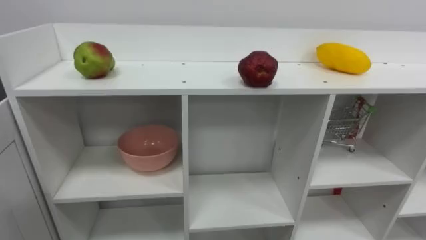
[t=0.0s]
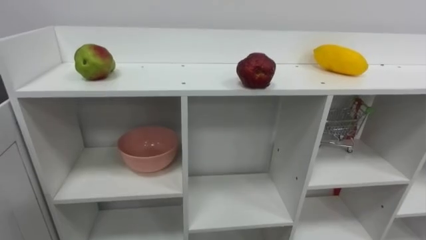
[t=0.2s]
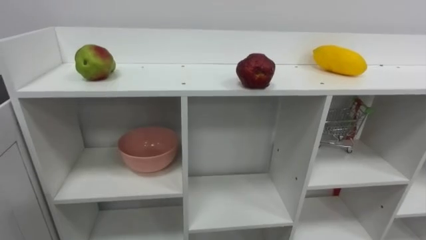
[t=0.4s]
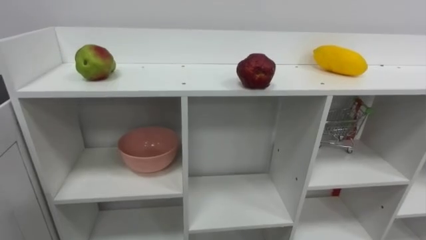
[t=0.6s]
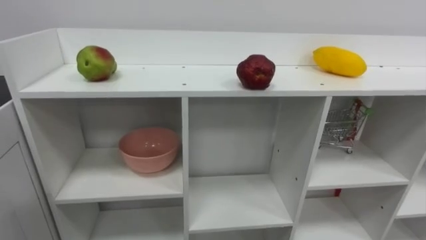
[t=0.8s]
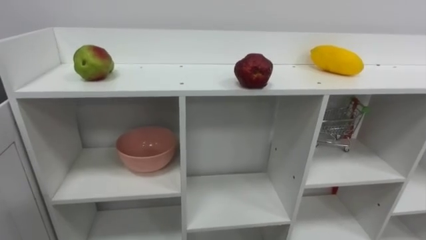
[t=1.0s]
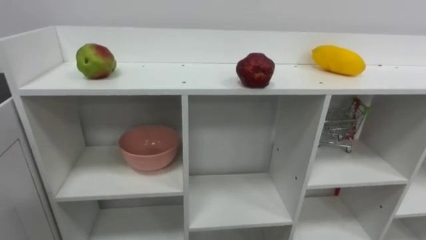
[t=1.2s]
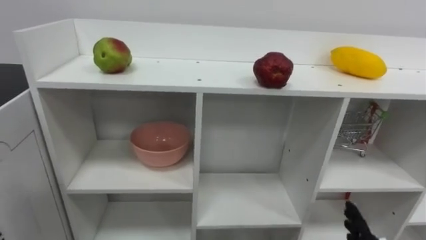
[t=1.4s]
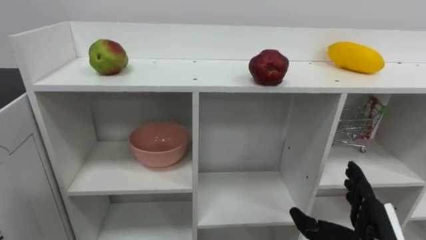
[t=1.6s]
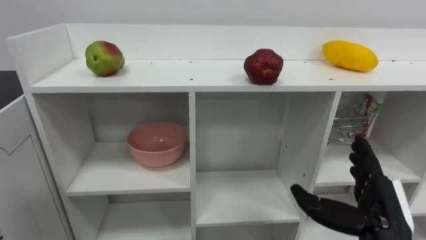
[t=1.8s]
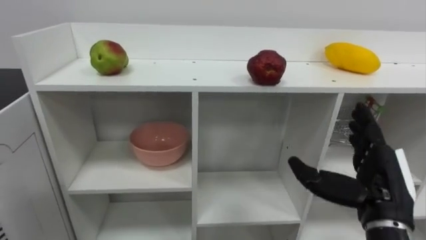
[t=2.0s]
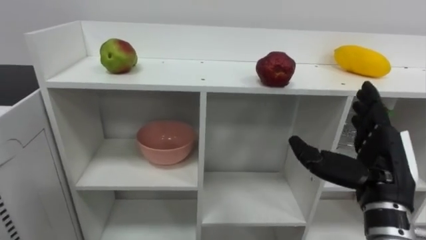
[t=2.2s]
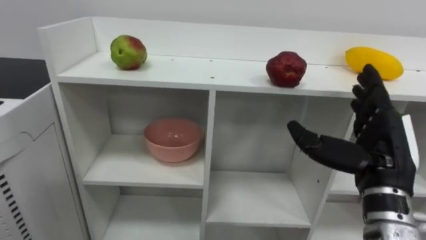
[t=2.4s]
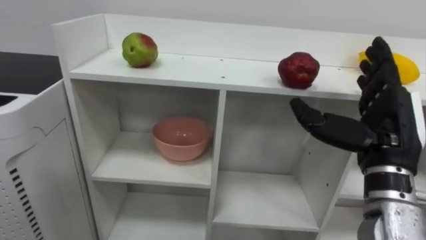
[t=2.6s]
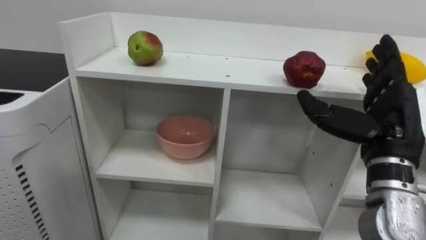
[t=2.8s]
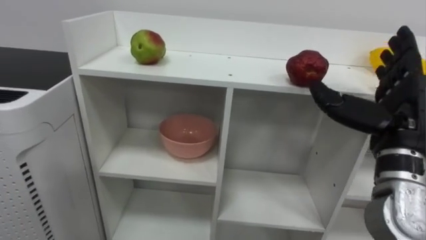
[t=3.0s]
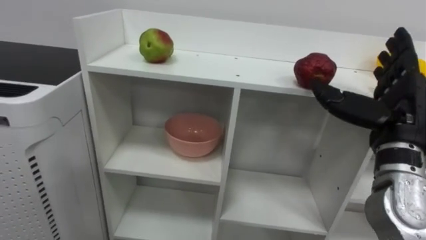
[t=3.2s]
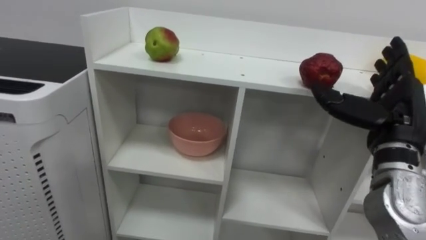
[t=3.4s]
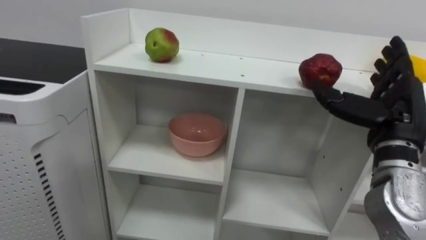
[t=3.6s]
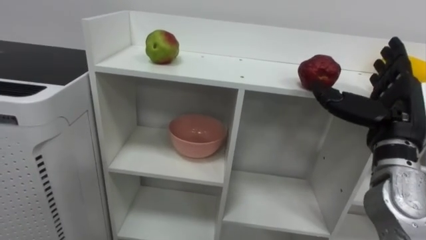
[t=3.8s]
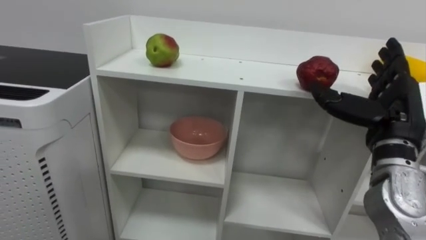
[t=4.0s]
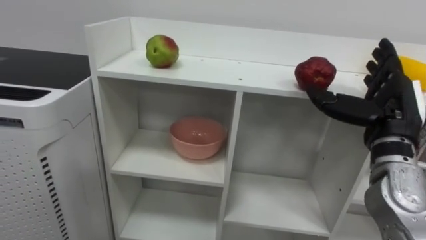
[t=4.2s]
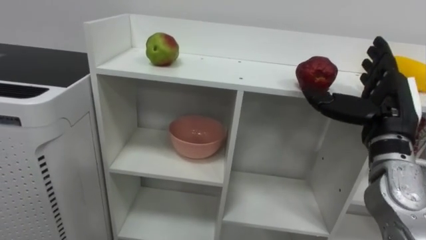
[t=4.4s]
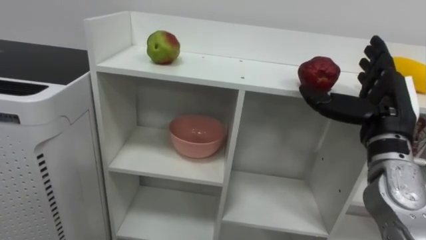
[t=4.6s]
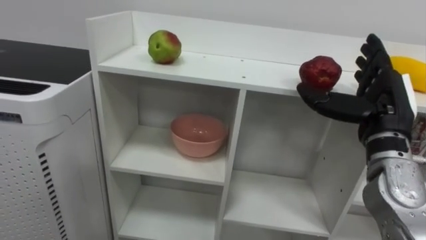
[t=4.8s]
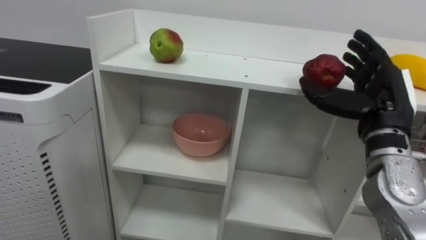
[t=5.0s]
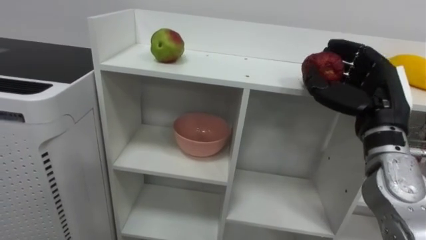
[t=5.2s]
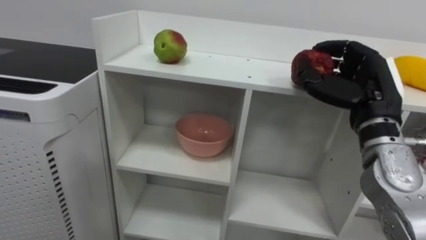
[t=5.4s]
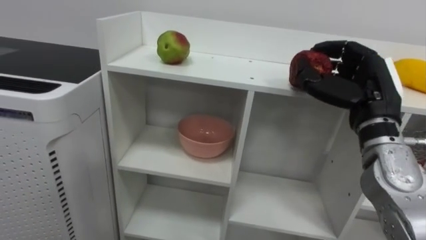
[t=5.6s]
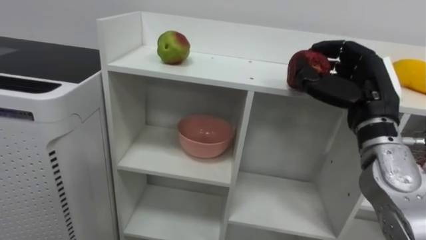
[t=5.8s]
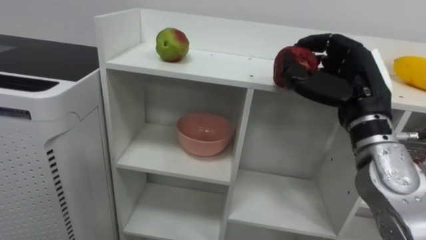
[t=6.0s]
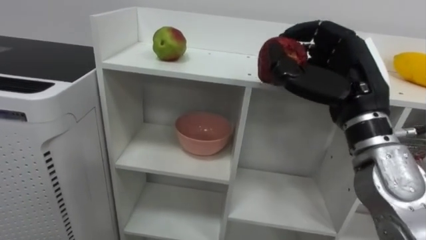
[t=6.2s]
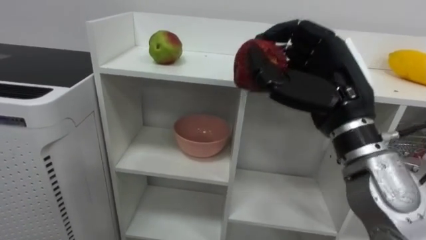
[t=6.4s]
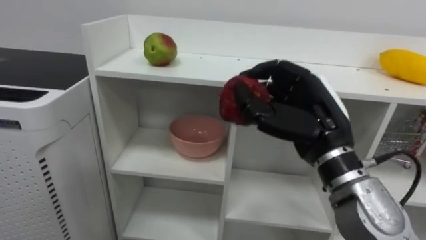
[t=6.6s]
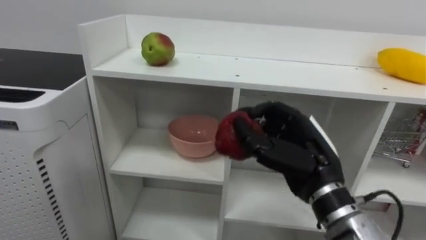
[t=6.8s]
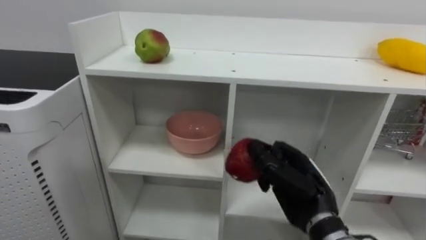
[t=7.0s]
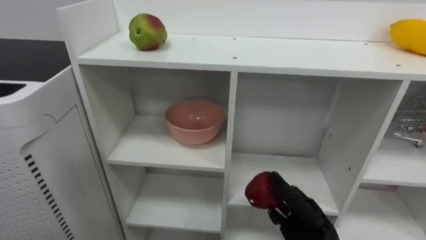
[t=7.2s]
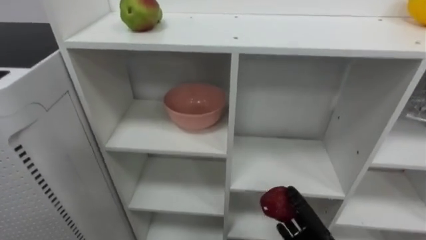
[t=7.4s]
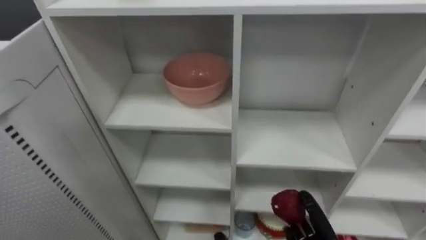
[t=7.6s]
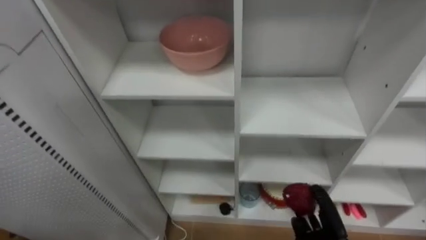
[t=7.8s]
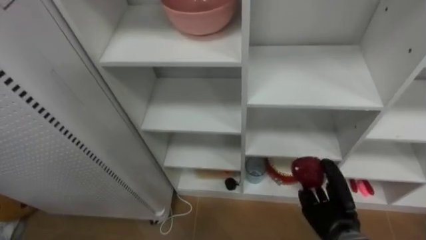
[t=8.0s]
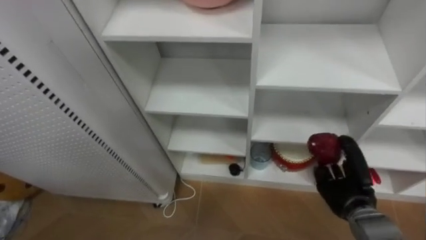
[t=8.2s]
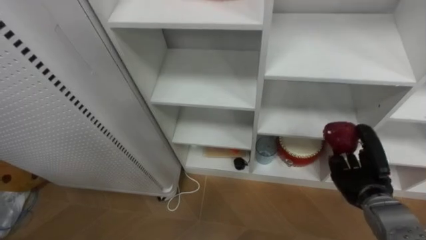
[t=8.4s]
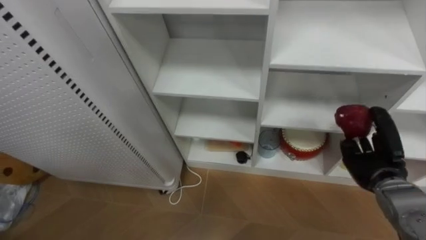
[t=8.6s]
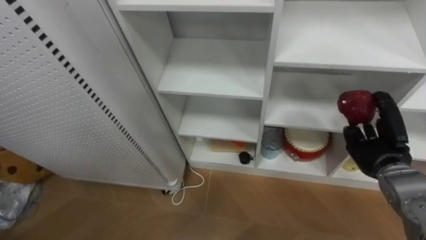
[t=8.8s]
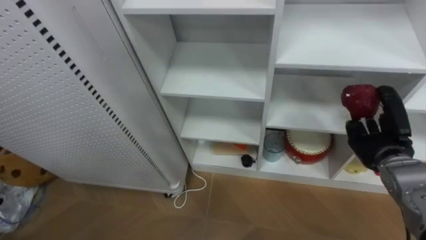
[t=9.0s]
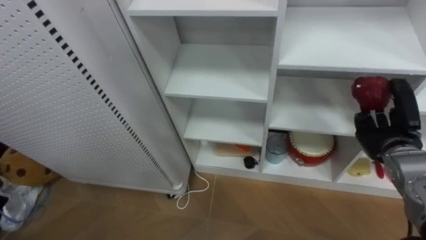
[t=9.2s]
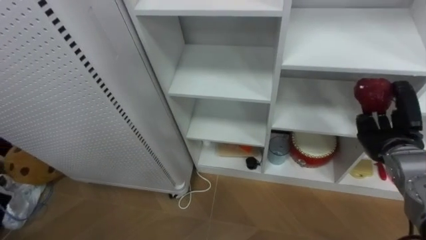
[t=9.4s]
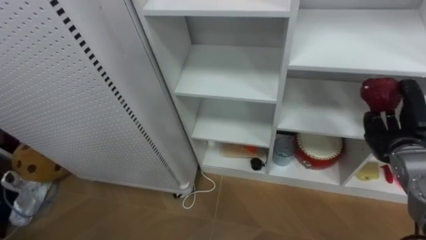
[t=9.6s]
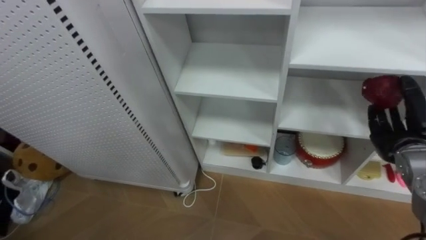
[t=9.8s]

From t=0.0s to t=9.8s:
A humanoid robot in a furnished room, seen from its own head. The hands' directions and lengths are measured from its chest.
Task of the whole recording: Put the apple in the cell in the second column from the left and the second row from the top.
From t=4.2s to t=5.6s: The right hand closes its fingers.
From t=5.6s to t=7.0s: The right hand moves downward and to the left, roughly 15 cm.
From t=8.4s to t=9.8s: The right hand travels upward and to the right by approximately 10 cm.

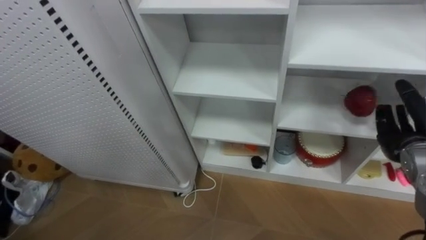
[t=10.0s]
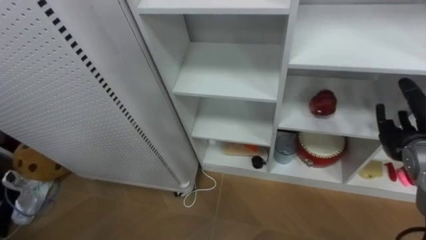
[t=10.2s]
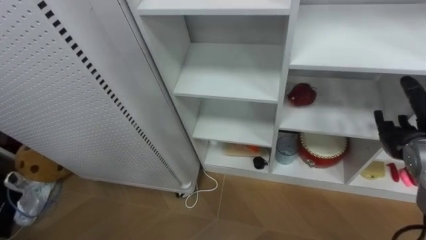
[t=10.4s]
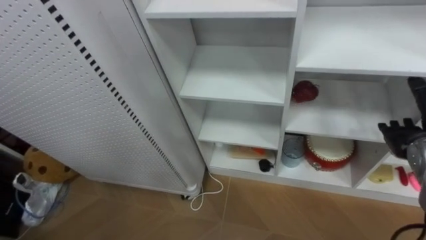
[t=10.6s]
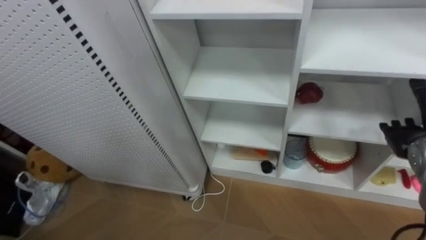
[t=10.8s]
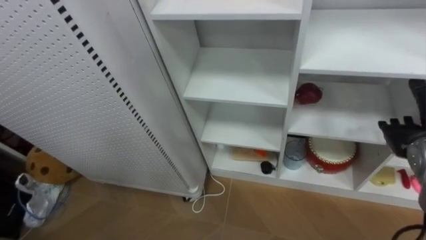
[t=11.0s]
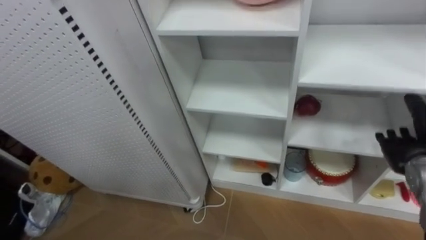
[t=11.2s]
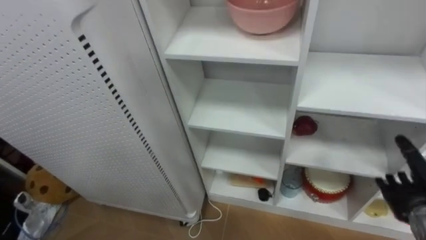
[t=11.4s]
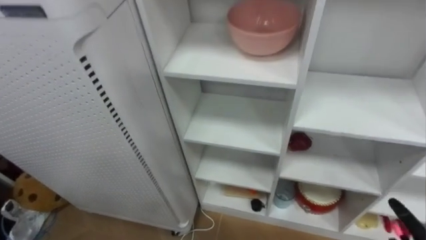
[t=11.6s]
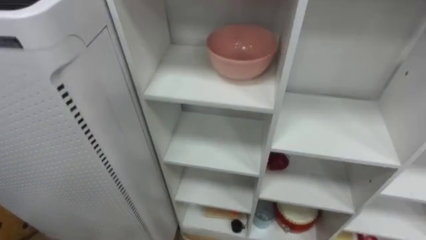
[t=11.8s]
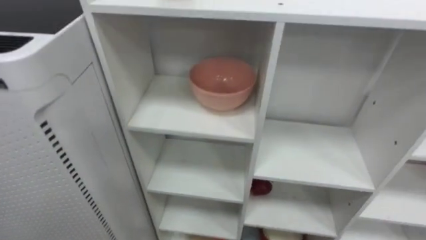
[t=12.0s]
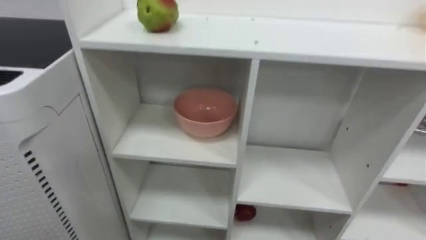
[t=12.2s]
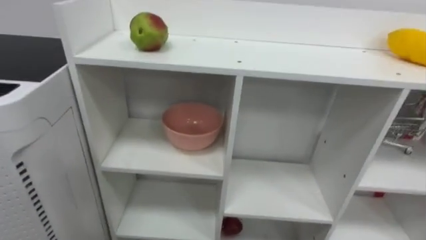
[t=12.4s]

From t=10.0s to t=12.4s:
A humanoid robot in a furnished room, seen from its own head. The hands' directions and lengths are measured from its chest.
Task of the whole recording: Put the apple in the cell in the second column from the left and the second row from the top.
From t=10.0s to t=11.2s: The right hand opens.

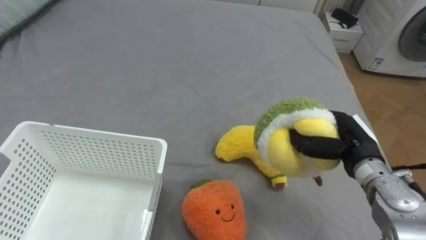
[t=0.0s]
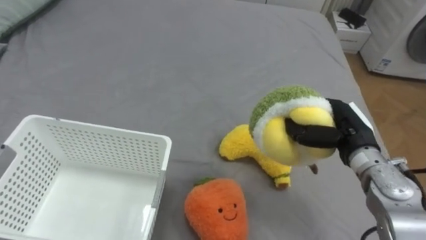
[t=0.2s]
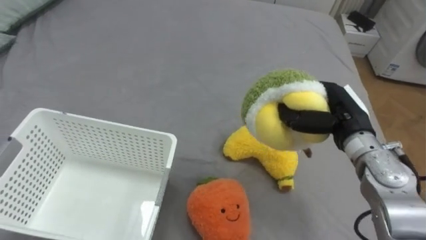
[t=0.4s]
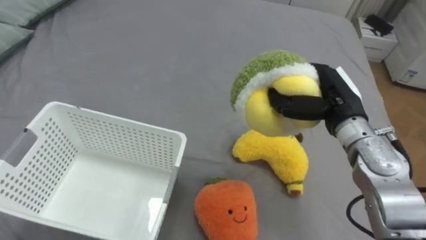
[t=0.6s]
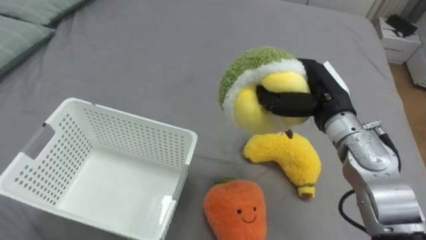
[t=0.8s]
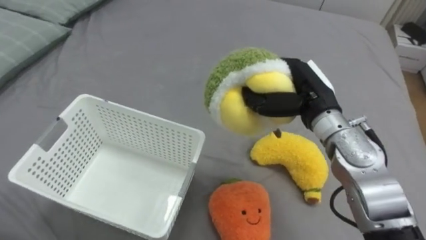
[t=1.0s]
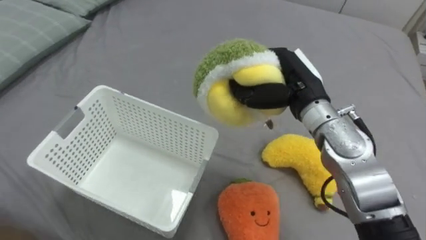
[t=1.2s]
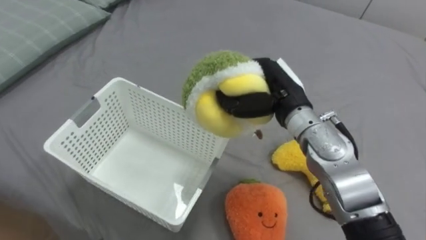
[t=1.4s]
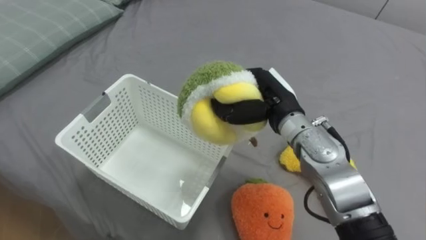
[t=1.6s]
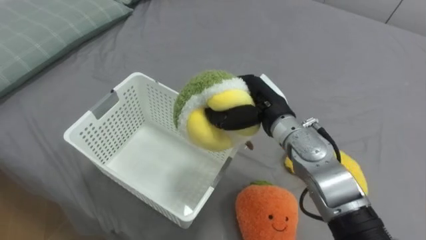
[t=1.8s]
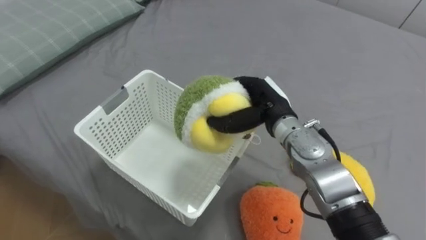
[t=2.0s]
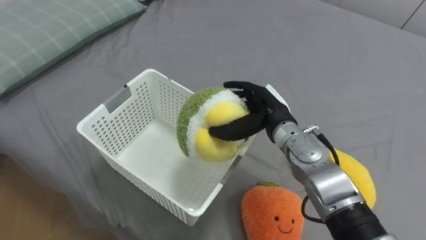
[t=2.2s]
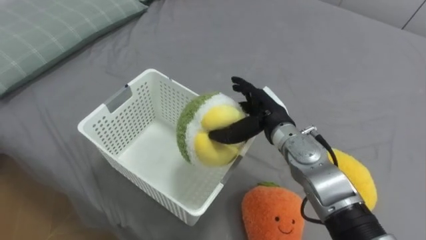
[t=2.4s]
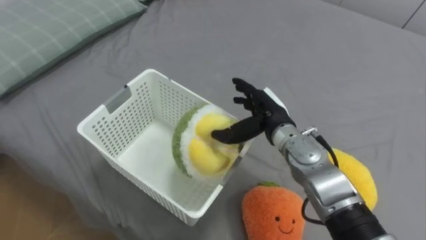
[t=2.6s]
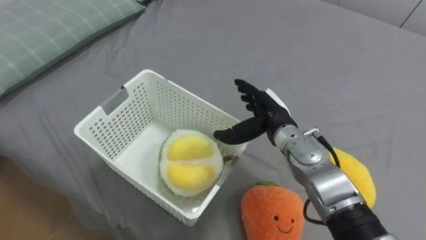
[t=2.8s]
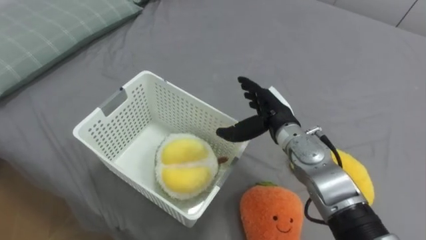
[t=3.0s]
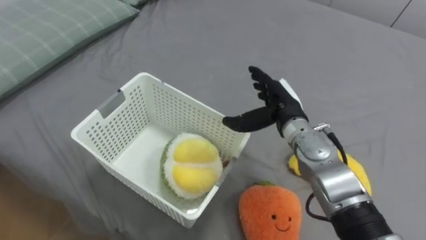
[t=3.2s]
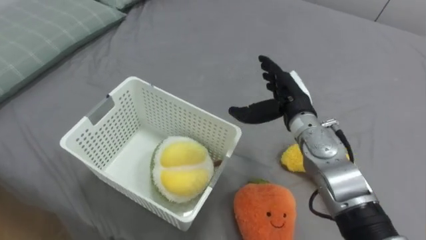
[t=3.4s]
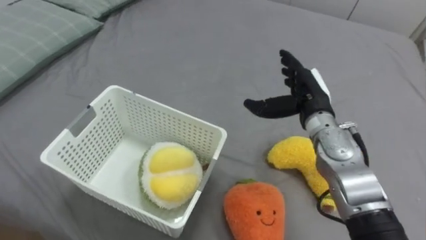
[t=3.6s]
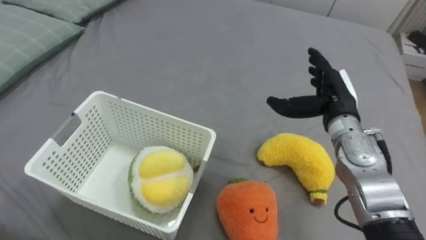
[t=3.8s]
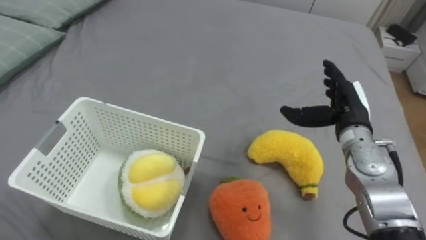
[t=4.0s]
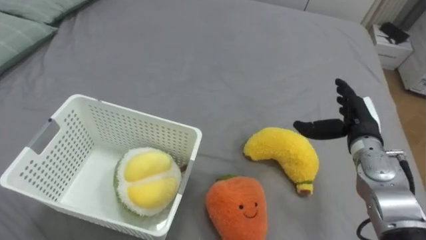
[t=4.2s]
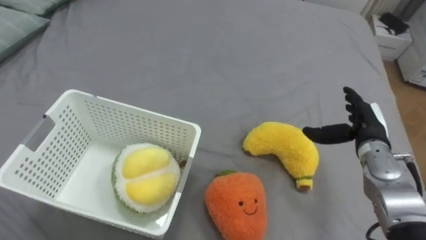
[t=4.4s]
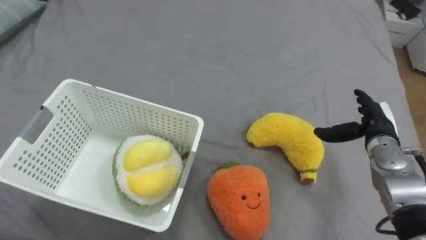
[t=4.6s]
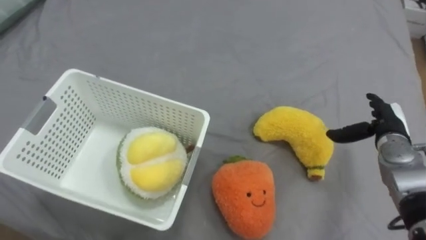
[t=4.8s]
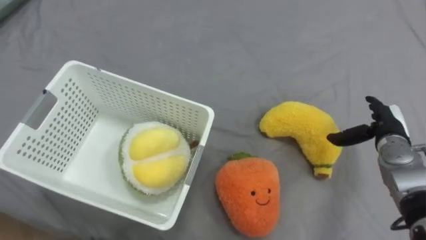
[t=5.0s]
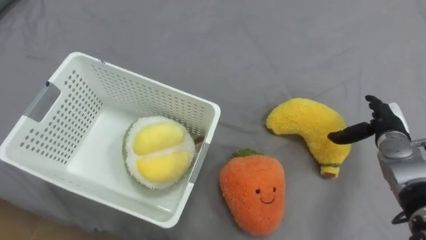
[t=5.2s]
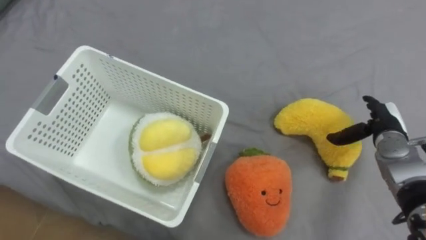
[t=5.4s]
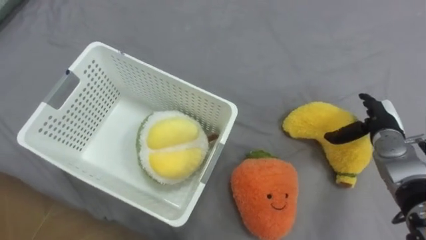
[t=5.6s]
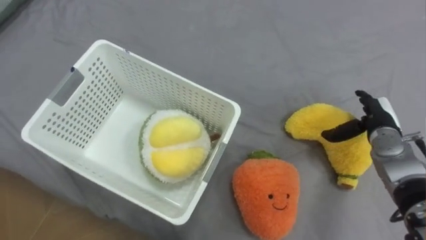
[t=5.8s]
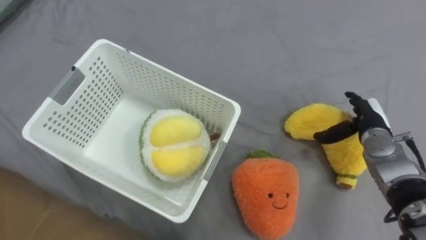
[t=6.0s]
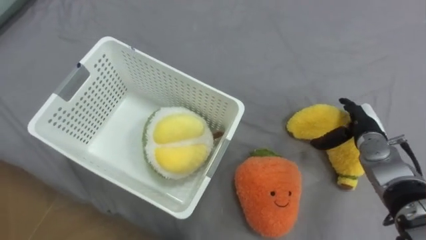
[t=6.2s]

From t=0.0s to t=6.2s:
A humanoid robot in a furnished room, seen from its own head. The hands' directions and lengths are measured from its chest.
Task of the whole recording: Put the toys on the bed into the basket on the left.
From t=0.0s to t=1.6s: The right hand moves to the left and upward, approximately 15 cm.
From t=1.6s to t=3.2s: The right hand opens up.
From t=3.2s to t=4.6s: The right hand goes about 20 cm to the right.
